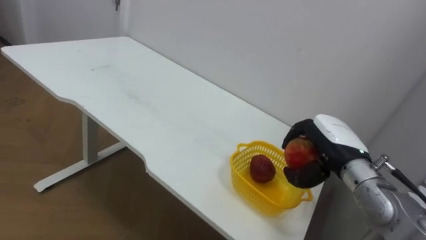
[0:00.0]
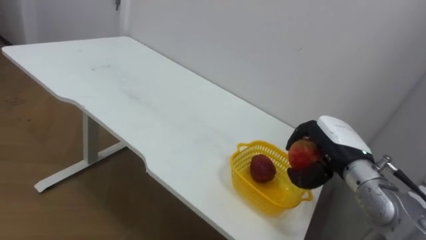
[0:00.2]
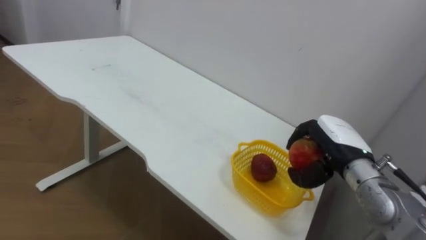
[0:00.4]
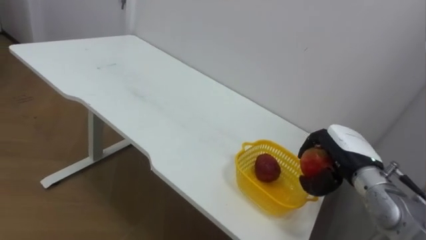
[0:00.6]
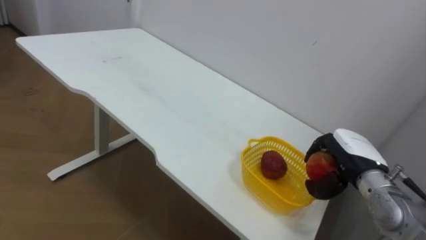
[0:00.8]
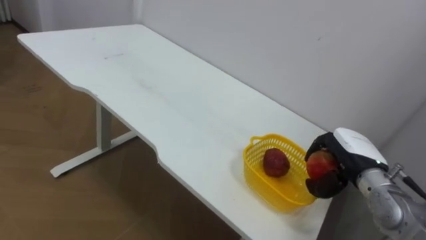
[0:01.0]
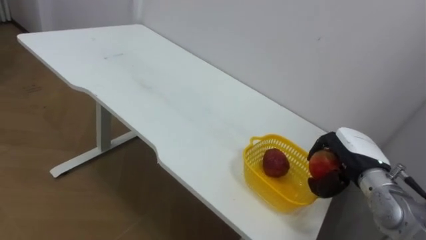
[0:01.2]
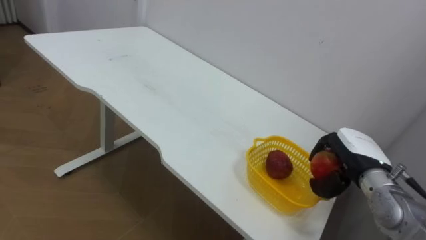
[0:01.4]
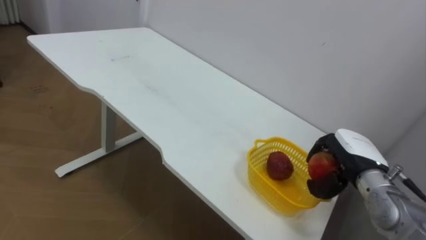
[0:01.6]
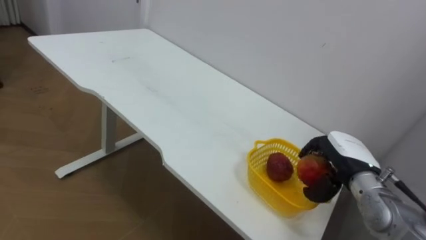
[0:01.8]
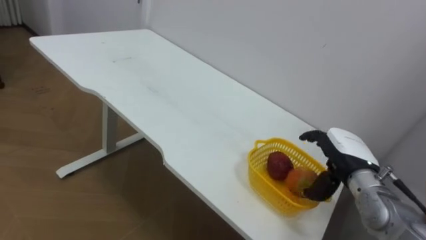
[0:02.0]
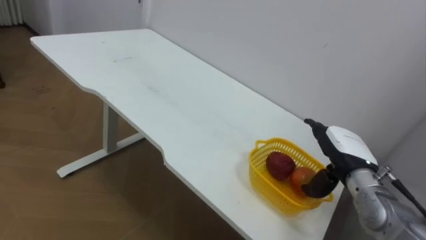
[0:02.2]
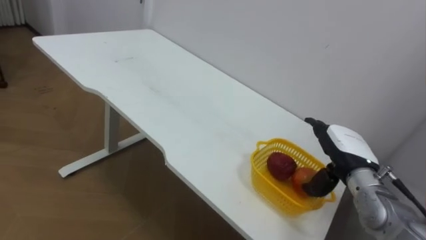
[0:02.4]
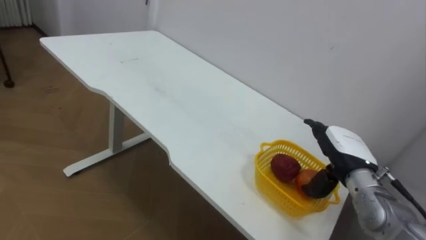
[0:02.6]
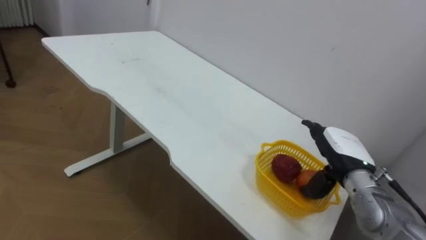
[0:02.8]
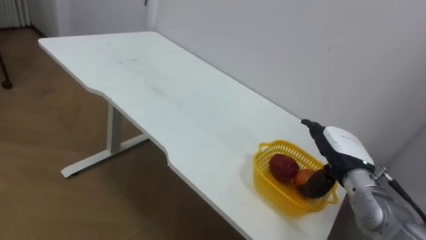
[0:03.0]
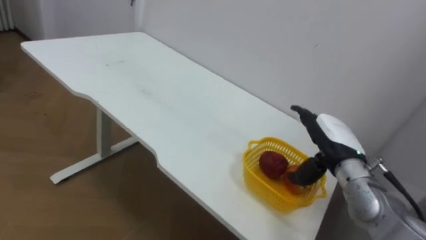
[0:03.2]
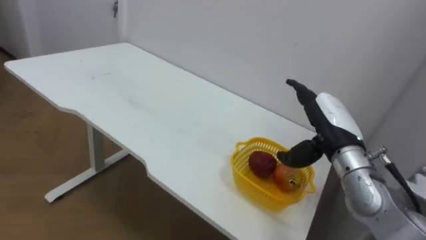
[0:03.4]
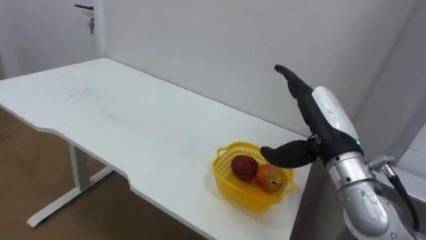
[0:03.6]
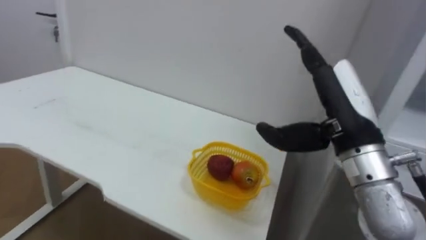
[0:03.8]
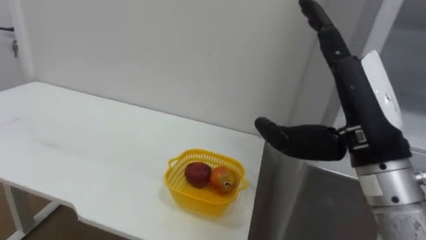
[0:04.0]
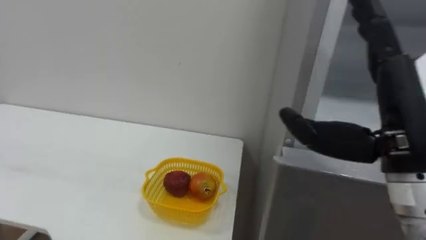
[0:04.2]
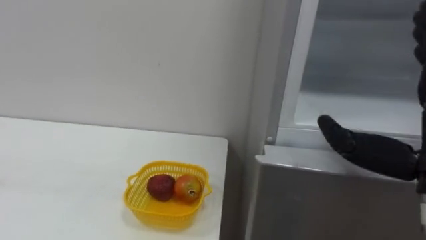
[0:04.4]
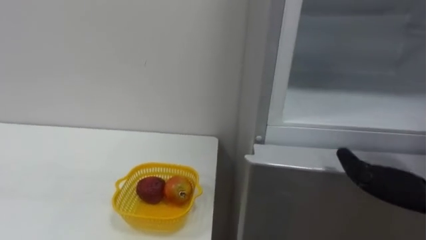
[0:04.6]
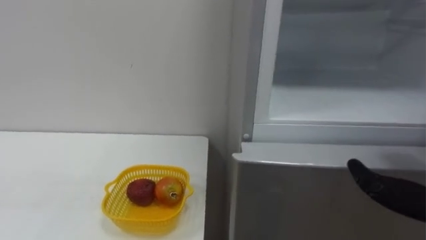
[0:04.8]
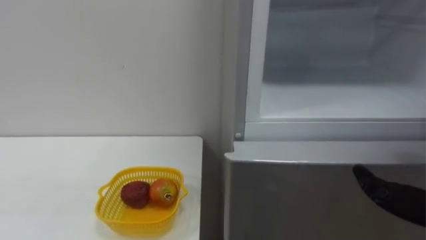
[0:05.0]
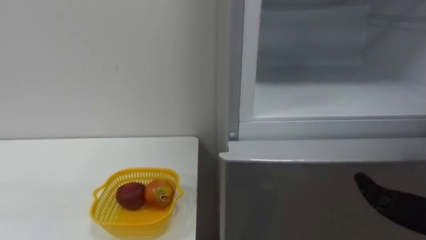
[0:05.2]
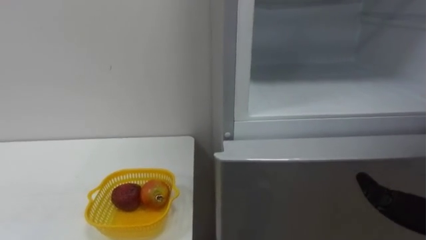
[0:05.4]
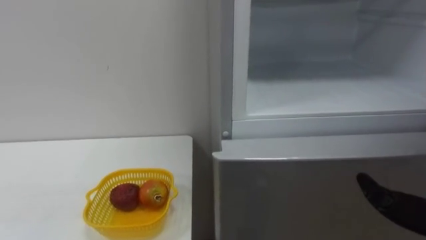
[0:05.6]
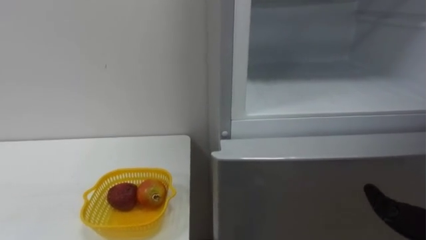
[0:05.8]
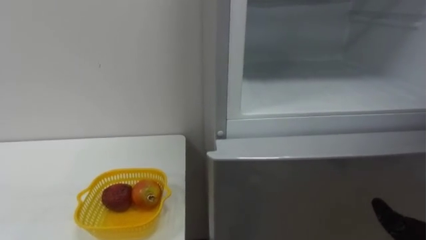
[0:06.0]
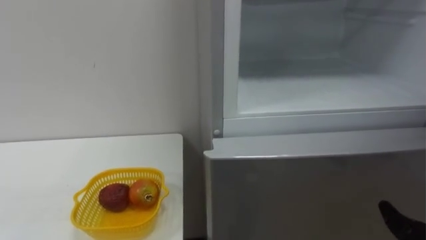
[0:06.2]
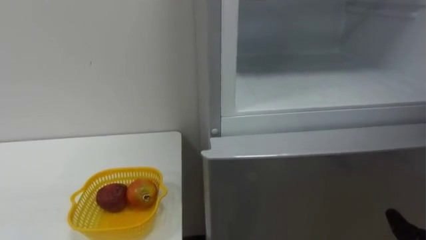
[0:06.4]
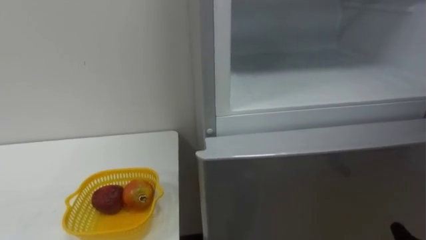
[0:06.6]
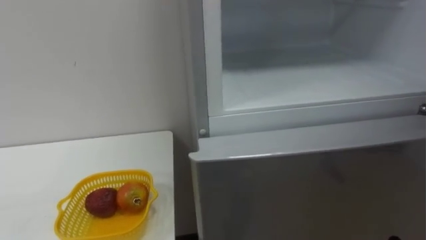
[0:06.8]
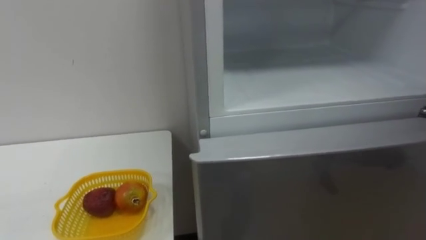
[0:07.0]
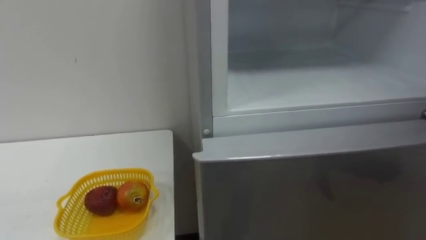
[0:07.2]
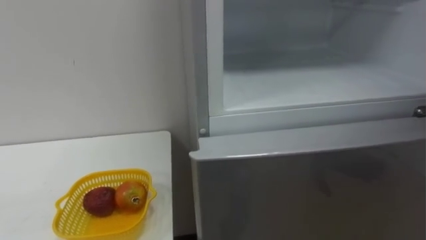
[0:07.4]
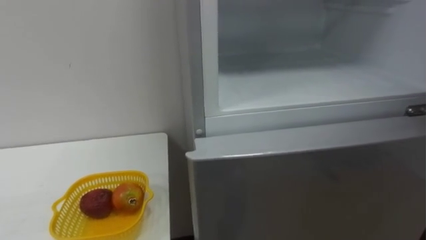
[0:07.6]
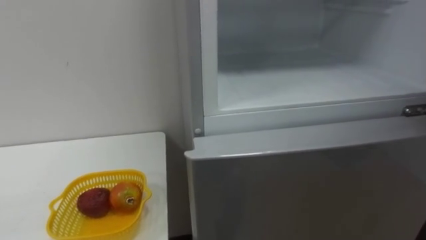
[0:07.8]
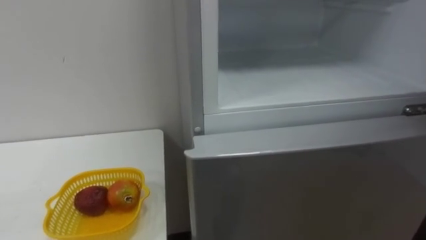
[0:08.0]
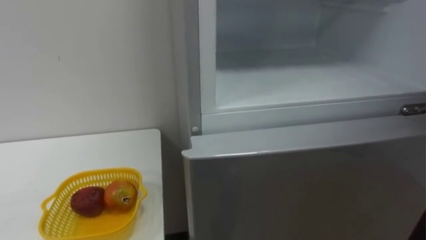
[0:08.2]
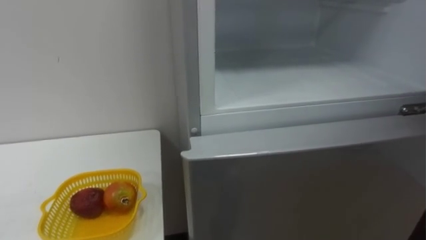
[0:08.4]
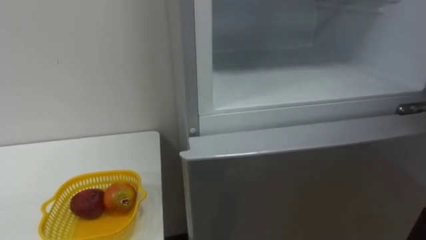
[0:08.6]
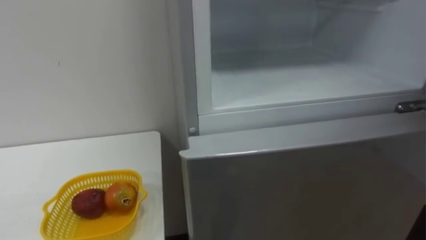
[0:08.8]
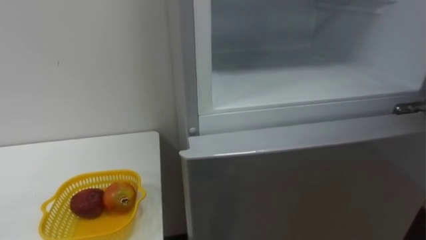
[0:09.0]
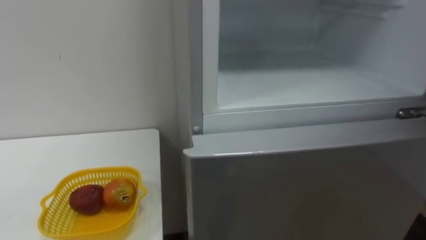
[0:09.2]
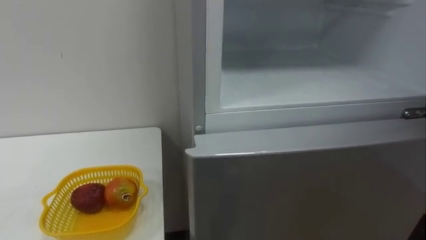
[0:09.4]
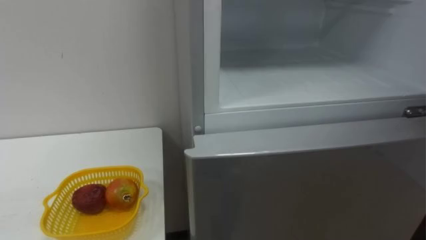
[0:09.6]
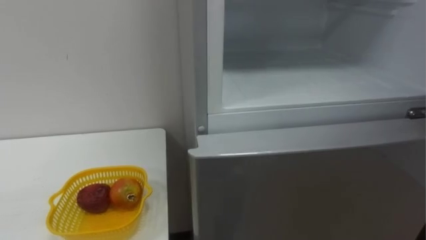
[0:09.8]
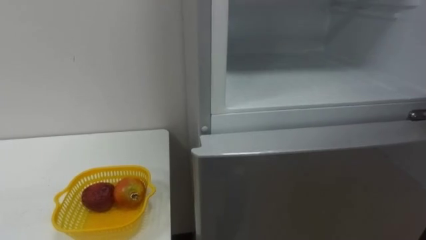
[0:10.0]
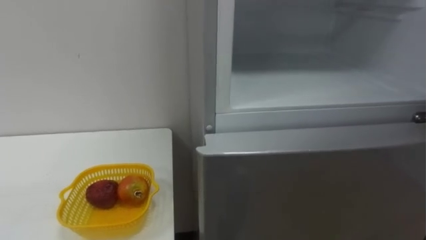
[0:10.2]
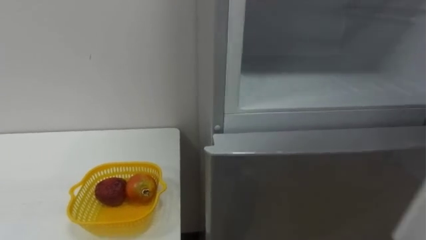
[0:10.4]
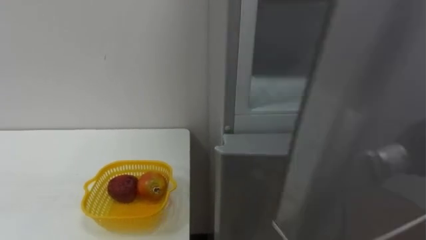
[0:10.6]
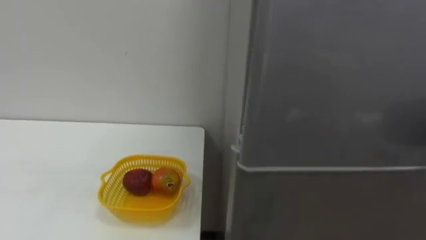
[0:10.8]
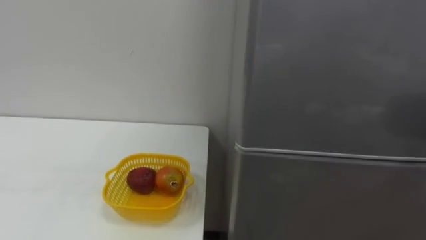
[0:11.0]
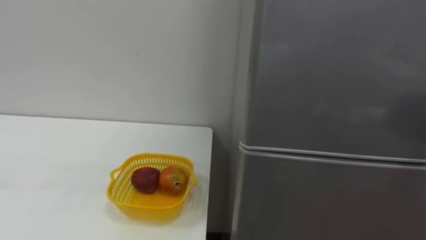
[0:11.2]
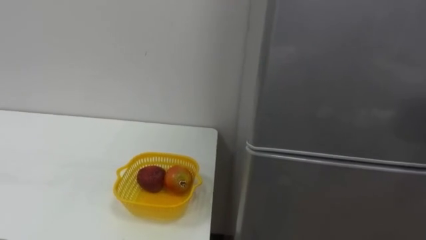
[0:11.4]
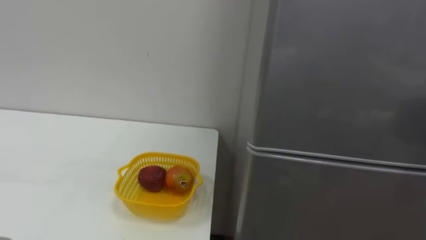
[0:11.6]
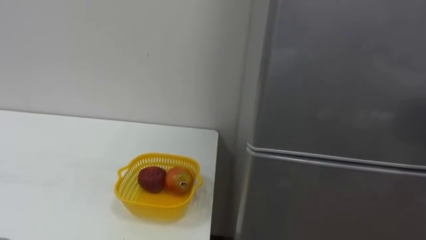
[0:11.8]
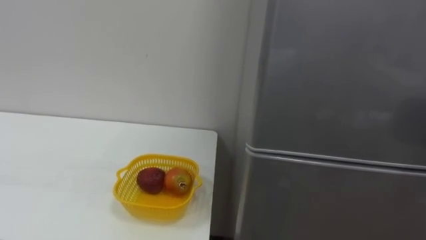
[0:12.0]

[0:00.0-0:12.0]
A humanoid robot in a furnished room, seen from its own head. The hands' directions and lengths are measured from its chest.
Task of the whole recording: Open the refrigerator door, take out the apple and the pomegranate, place them in the fruit basket on the left, and close the refrigerator door.
0:00.0 to 0:01.6: The right hand shifts by roughly 5 cm.
0:01.6 to 0:03.0: The right hand opens up.
